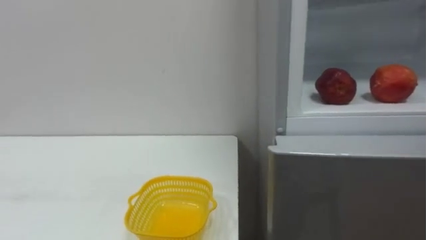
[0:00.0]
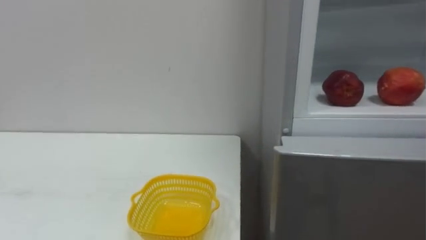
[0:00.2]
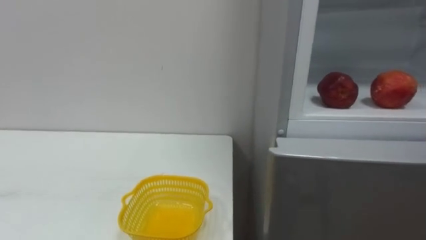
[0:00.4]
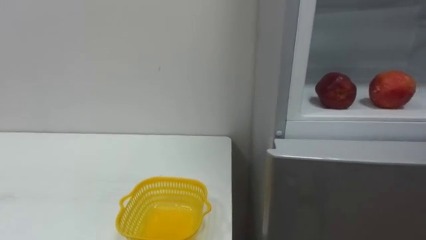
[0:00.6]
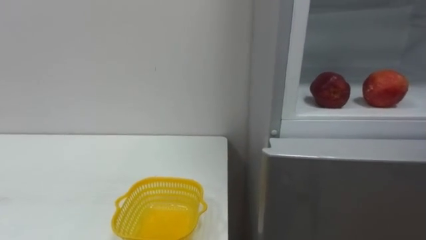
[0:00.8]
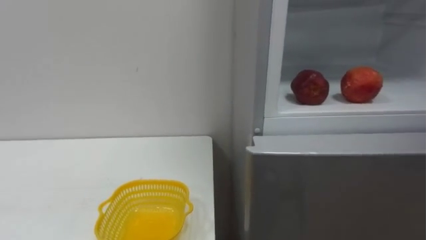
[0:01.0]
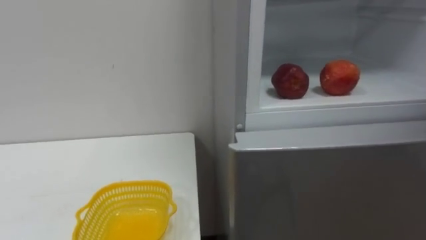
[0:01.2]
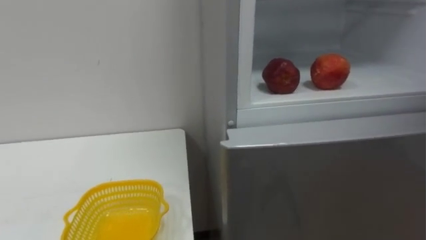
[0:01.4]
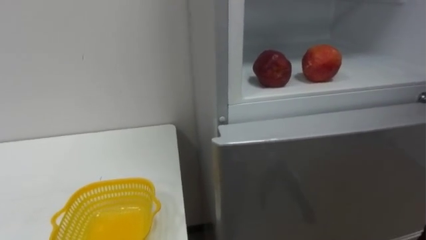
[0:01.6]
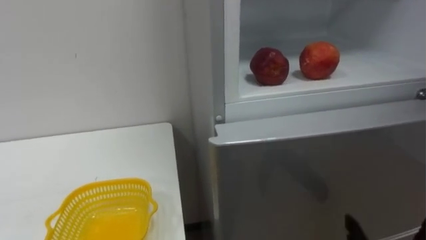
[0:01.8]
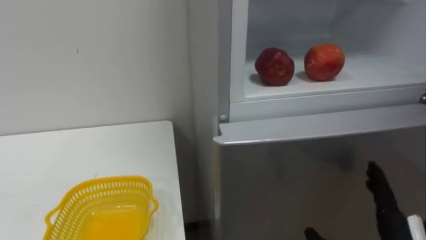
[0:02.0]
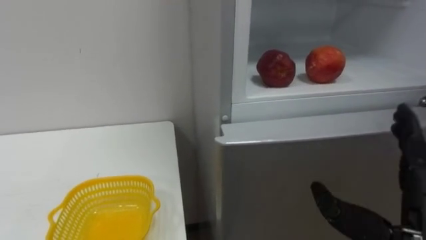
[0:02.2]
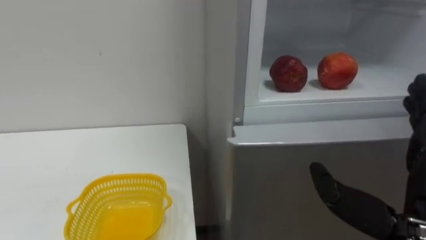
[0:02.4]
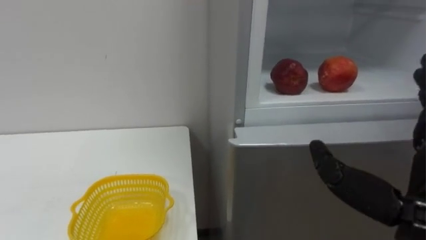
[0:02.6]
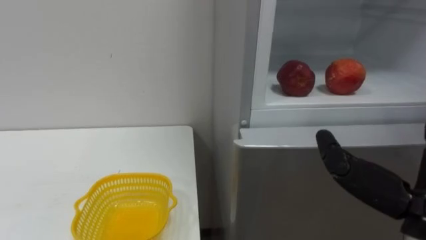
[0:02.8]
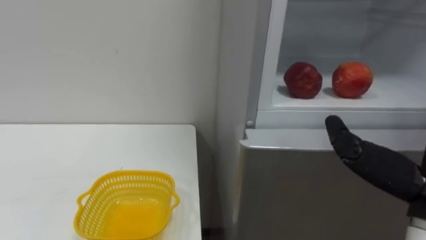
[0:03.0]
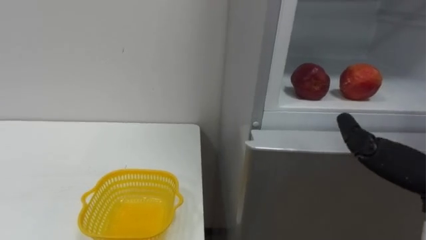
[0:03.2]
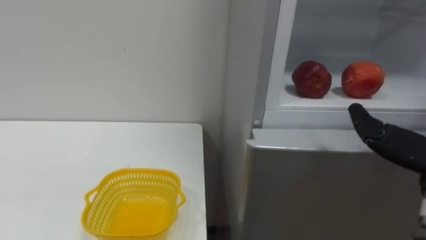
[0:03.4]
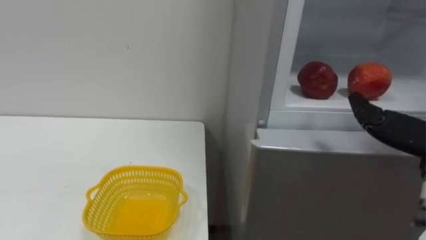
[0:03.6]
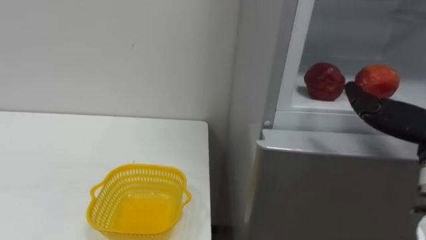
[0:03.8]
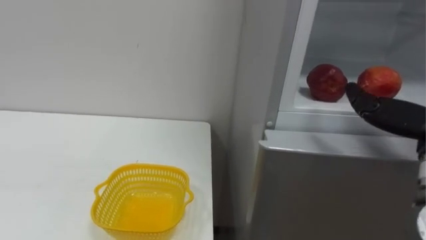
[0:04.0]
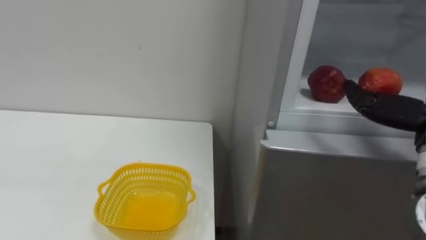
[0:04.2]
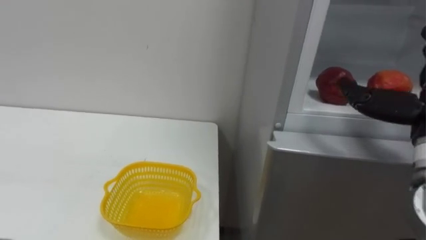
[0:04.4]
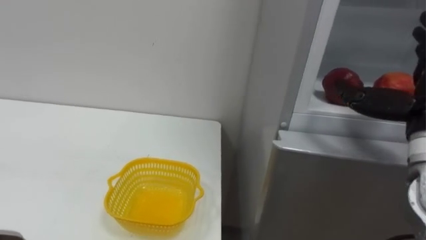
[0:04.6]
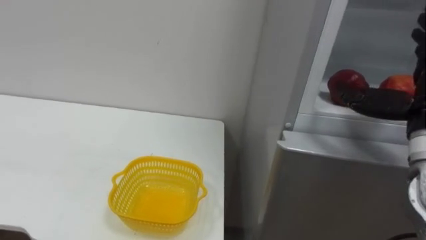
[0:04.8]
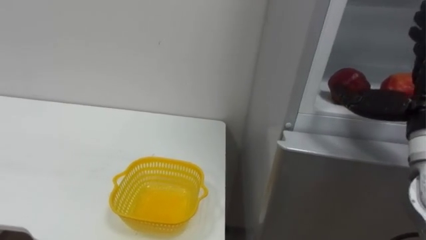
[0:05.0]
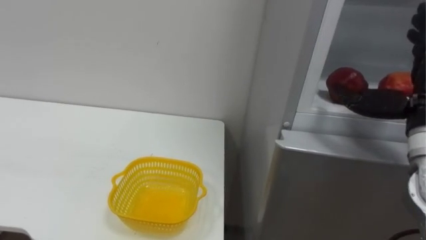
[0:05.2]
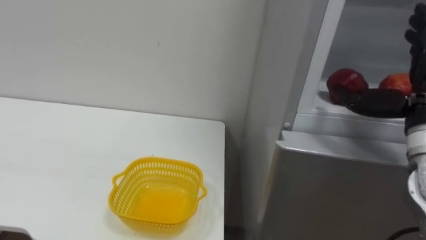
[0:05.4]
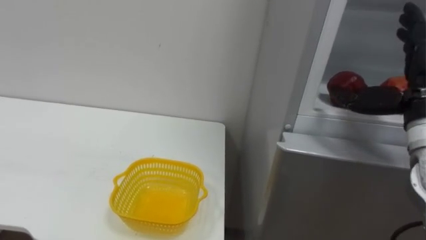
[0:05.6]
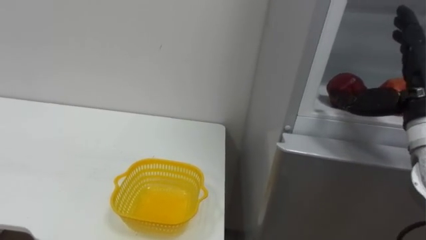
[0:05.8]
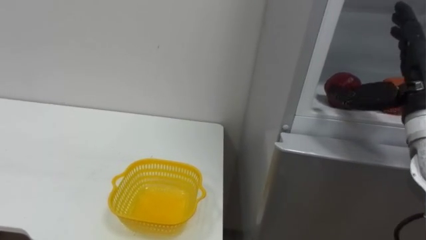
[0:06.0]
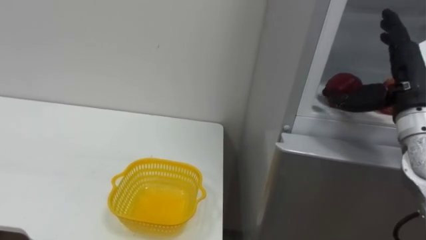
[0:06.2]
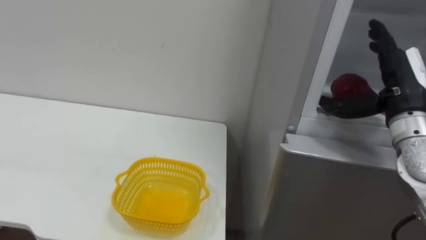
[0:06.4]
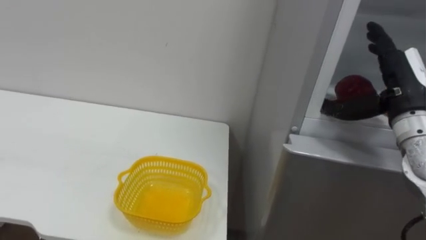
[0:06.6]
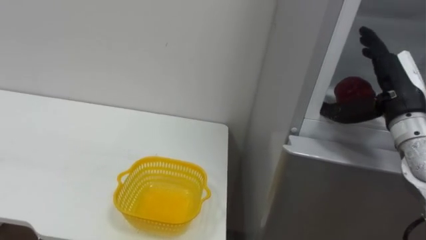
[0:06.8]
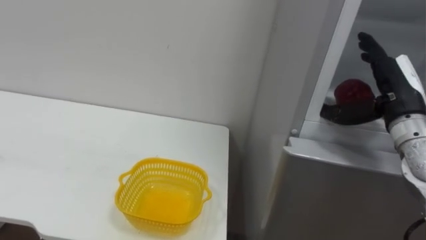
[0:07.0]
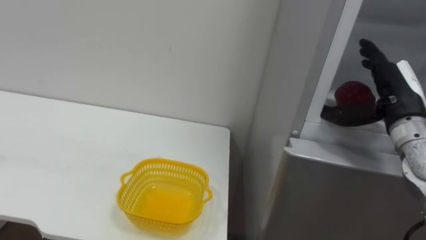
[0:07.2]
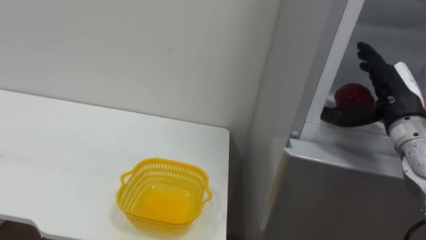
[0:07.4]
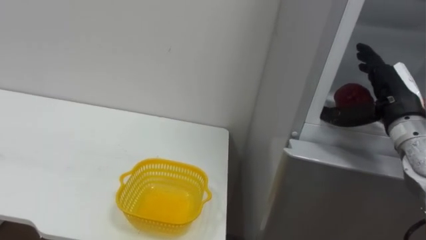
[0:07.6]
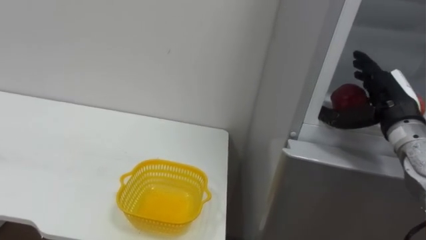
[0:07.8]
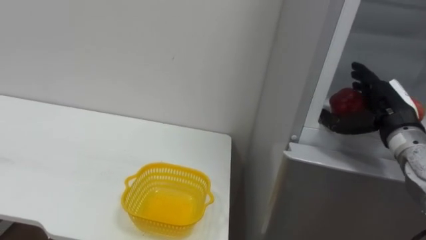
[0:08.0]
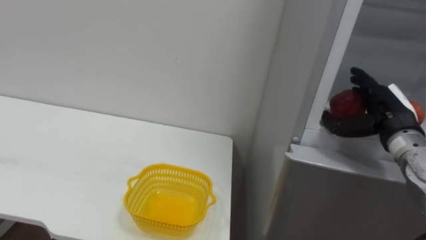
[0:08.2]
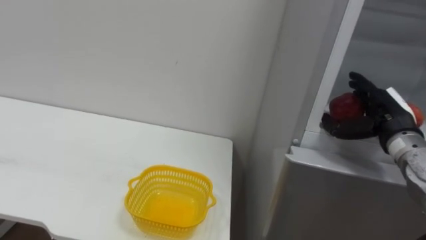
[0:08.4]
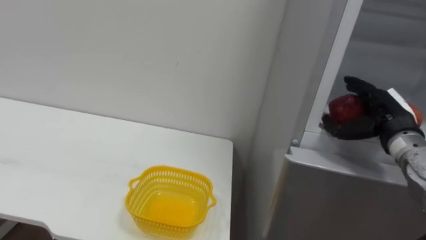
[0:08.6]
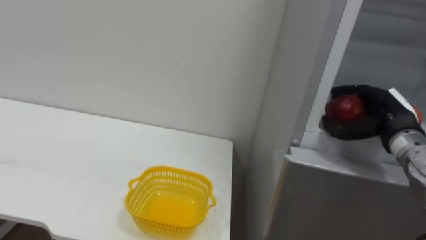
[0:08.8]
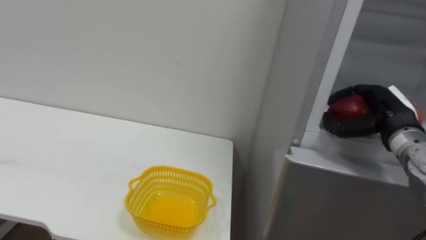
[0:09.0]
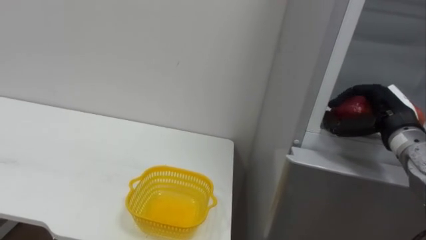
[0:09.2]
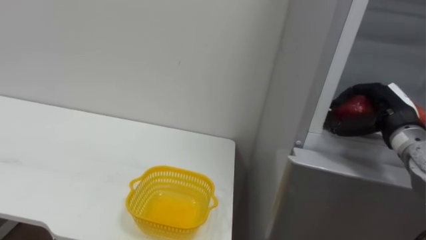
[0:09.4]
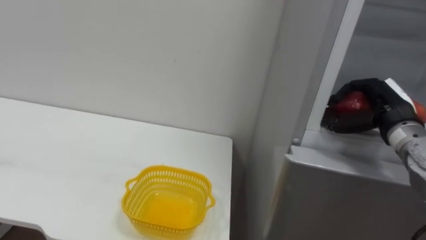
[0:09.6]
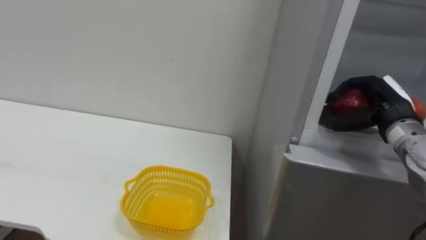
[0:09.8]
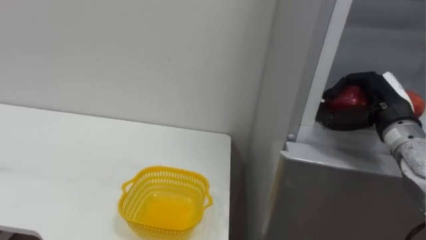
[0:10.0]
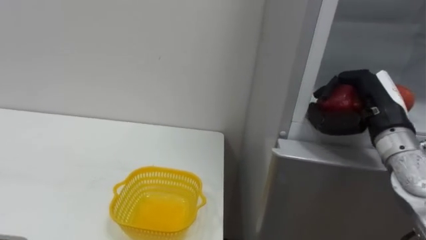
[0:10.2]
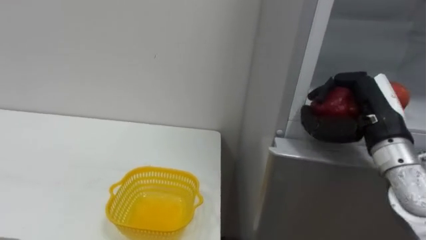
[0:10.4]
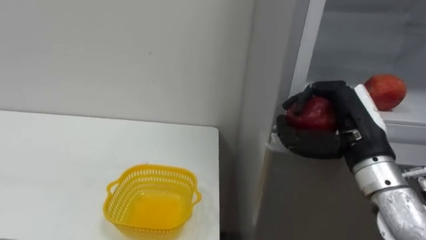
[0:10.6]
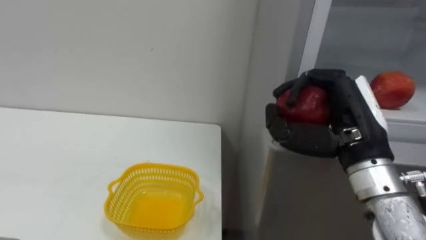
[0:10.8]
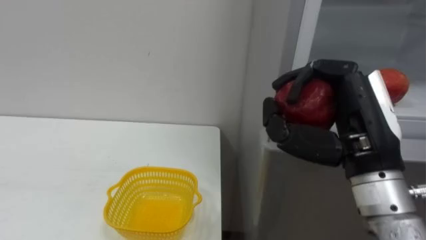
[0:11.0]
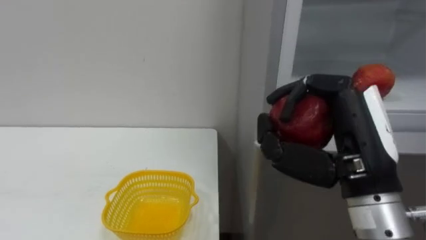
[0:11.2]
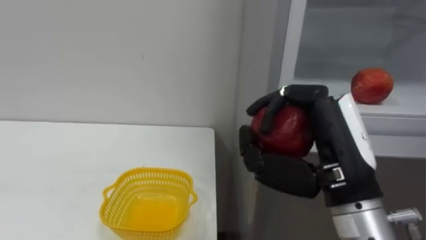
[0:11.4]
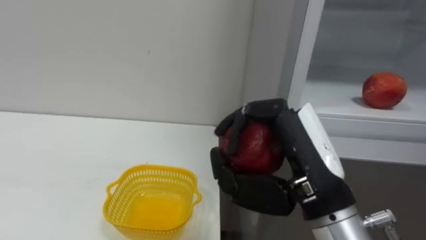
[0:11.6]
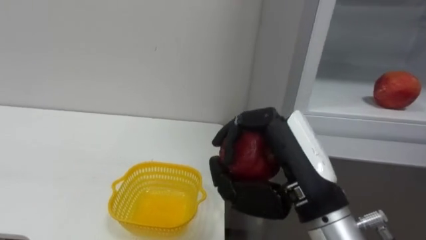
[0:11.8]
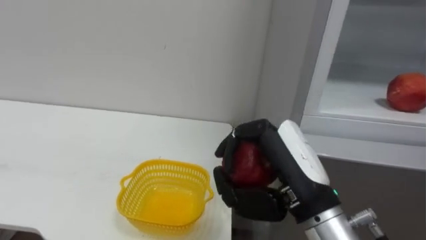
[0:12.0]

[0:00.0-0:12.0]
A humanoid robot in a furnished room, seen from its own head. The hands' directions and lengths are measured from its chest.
Task of the whole recording: Open the refrigerator door, take out the apple and the pomegranate, place them in the fruit basket on the left, and close the refrigerator door.
0:06.0 to 0:07.6: The right hand ends up some 5 cm from where it was.
0:07.6 to 0:09.0: The right hand closes its fingers.
0:09.0 to 0:10.4: The right hand shifts approximately 10 cm to the left and backward.
0:10.4 to 0:12.0: The right hand goes approximately 15 cm to the left and backward.

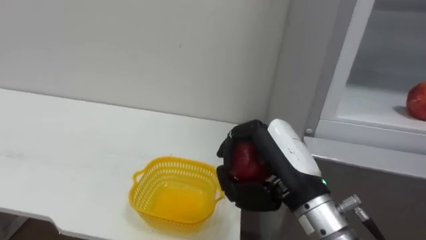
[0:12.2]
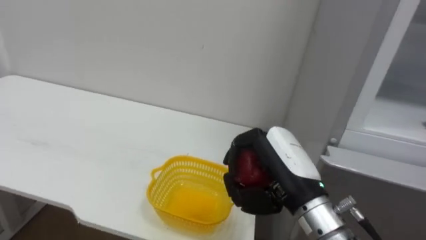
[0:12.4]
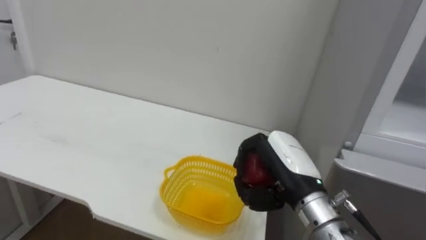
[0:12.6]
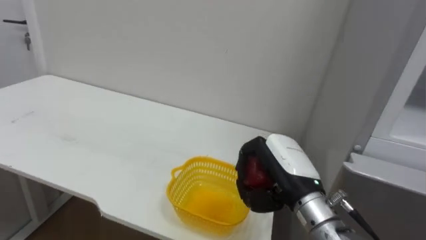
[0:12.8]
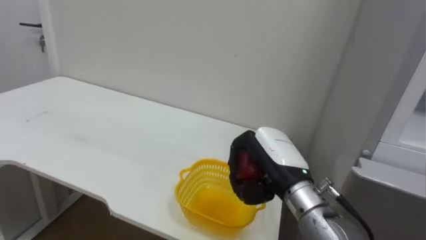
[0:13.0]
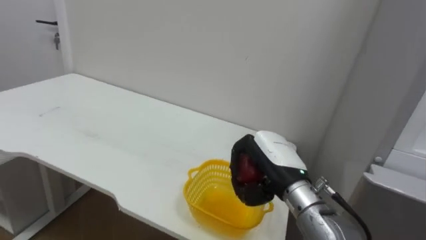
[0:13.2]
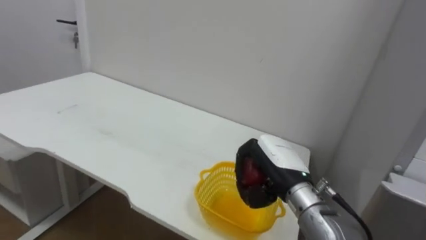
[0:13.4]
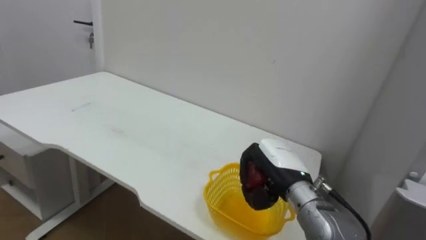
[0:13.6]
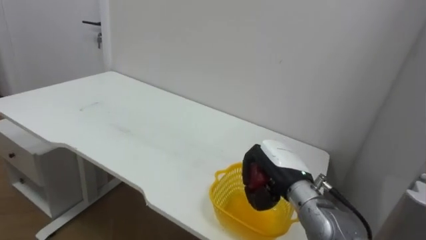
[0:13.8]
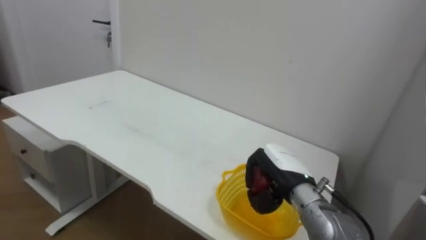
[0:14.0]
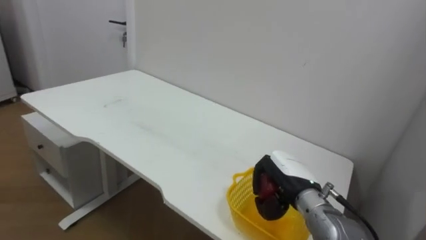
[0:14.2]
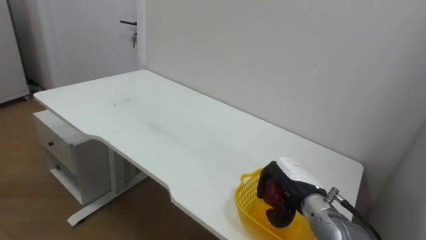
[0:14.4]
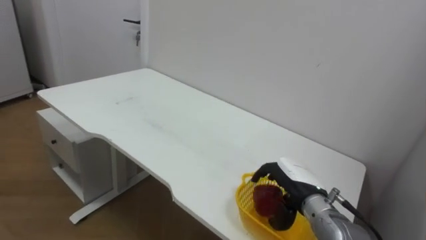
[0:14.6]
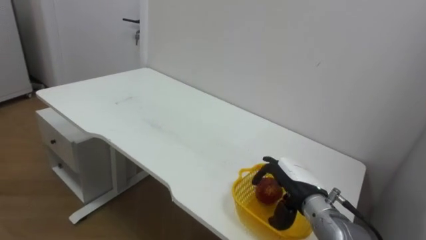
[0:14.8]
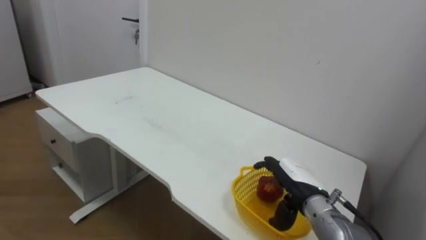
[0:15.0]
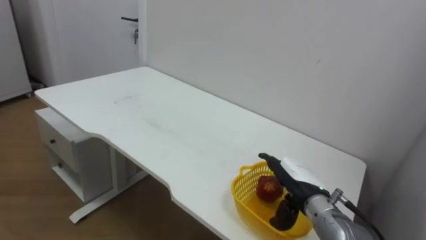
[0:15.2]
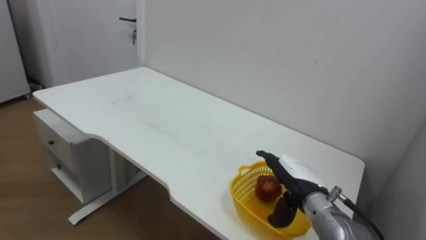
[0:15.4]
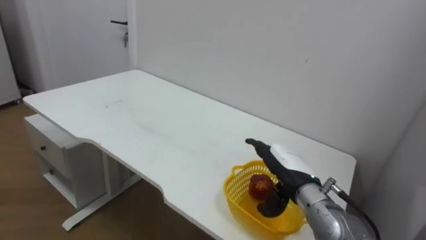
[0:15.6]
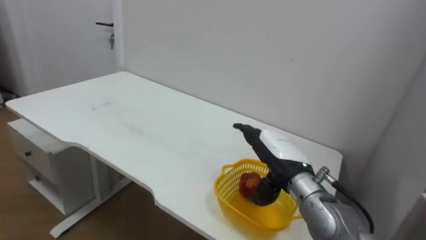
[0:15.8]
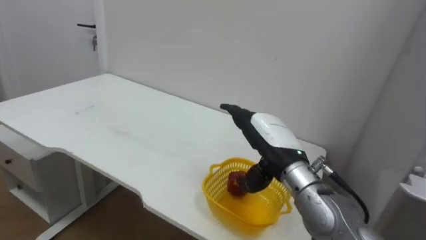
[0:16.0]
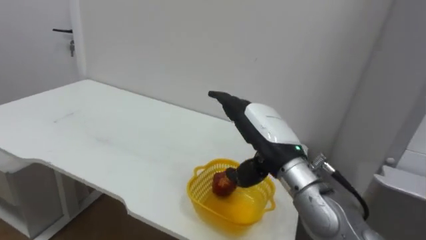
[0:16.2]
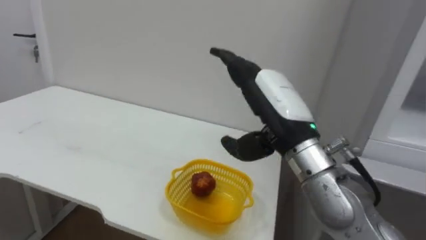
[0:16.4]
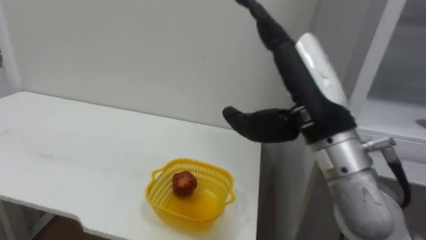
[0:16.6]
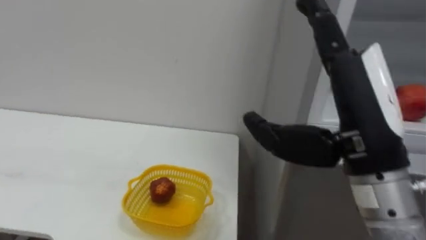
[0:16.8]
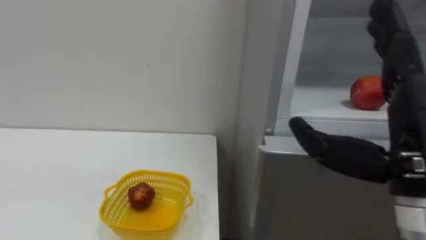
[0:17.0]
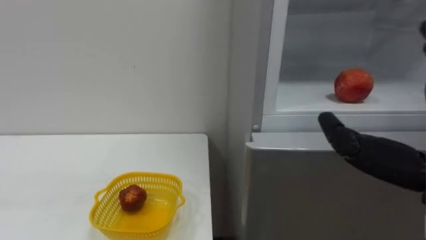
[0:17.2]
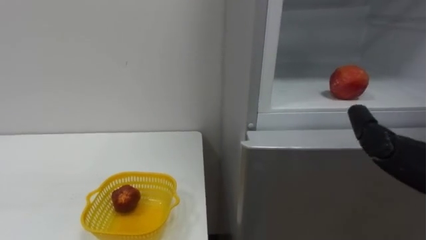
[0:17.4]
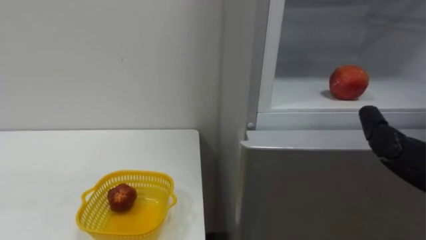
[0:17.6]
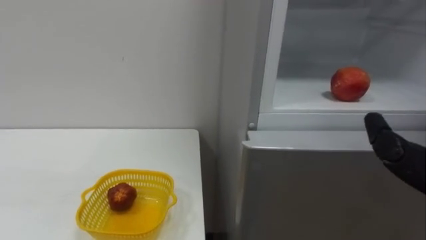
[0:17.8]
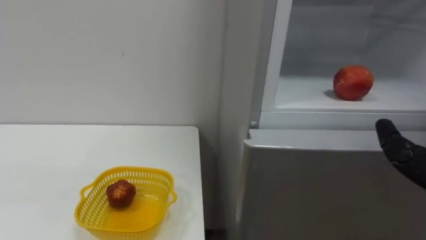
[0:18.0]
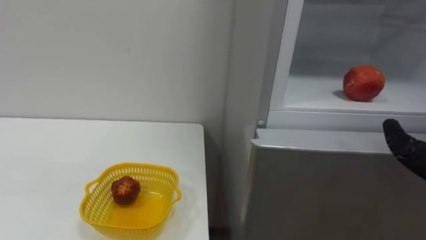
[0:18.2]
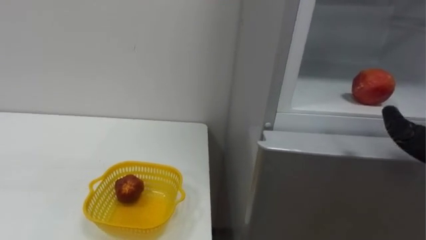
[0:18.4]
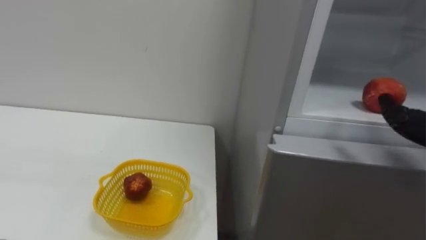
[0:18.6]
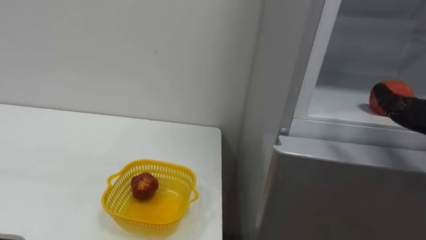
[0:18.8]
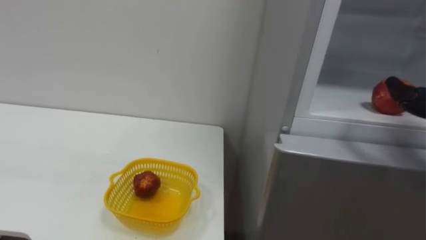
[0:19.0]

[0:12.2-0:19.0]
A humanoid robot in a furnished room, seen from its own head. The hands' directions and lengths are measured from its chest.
Task of the whole recording: Open the refrigerator door, take out the apple and the pomegranate, place them in the fruit basket on the left, and close the refrigerator door.
0:12.2 to 0:13.6: The right hand travels downward and forward by roughly 15 cm.
0:13.6 to 0:15.0: The right hand moves downward, about 5 cm, and opens its fingers.
0:15.0 to 0:16.2: The right hand travels upward and to the left by approximately 15 cm.
